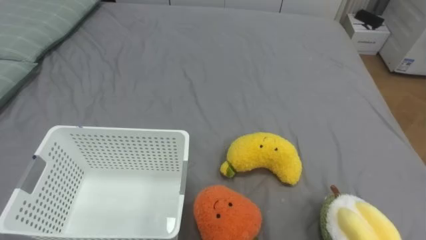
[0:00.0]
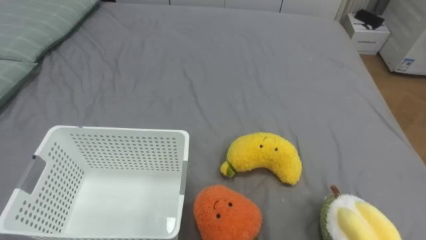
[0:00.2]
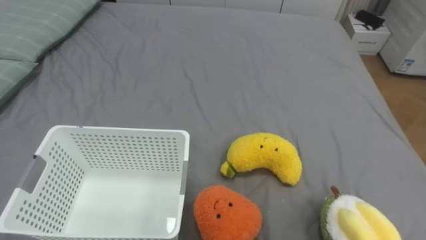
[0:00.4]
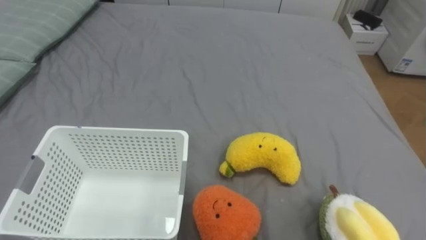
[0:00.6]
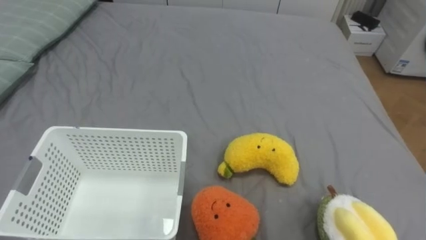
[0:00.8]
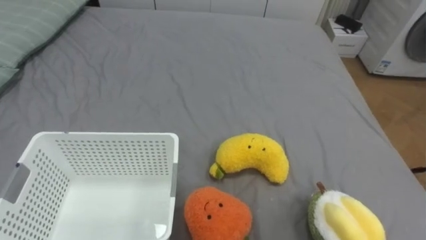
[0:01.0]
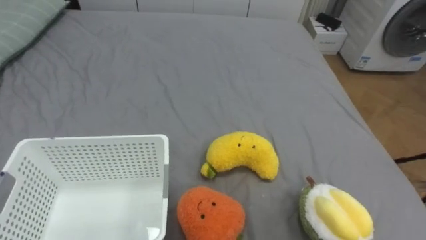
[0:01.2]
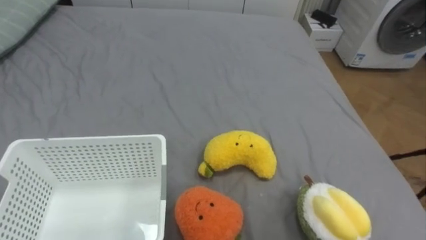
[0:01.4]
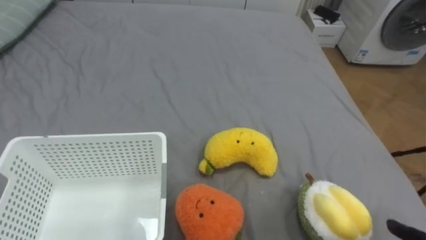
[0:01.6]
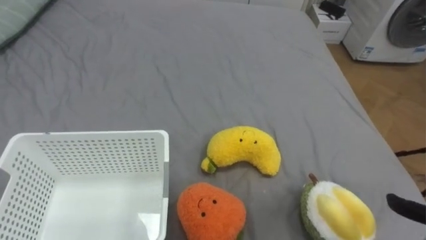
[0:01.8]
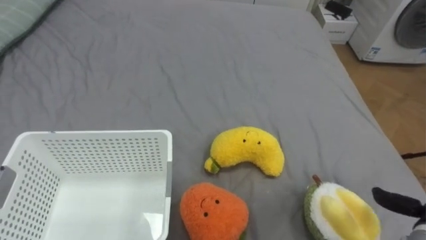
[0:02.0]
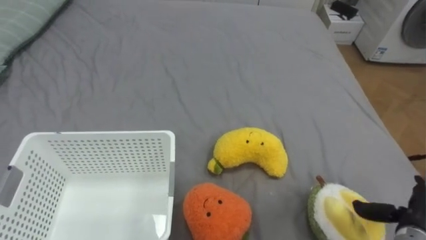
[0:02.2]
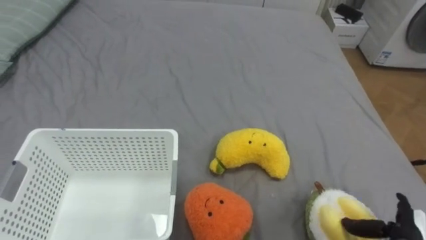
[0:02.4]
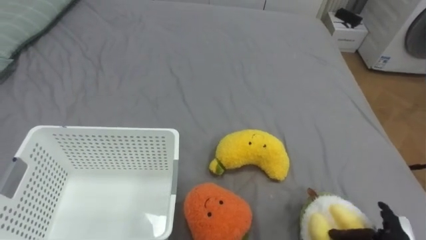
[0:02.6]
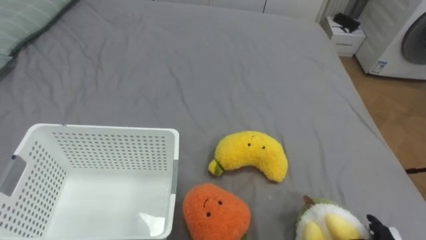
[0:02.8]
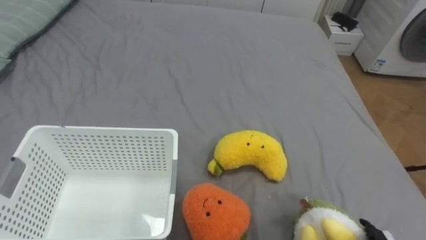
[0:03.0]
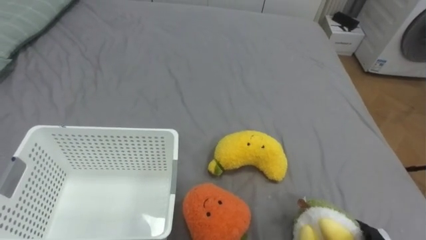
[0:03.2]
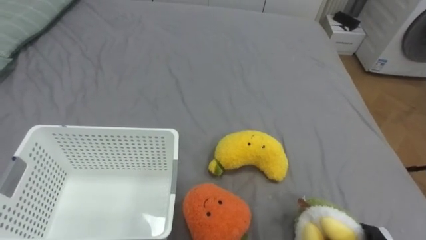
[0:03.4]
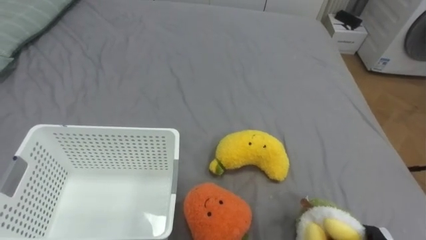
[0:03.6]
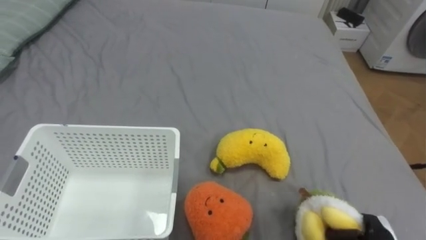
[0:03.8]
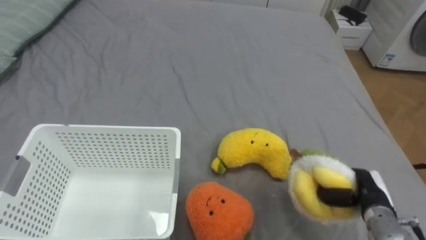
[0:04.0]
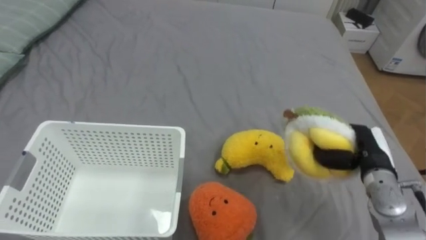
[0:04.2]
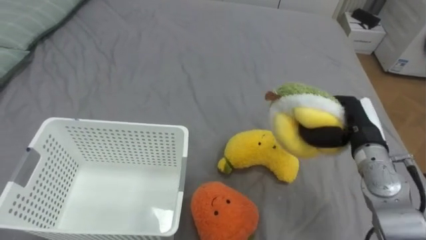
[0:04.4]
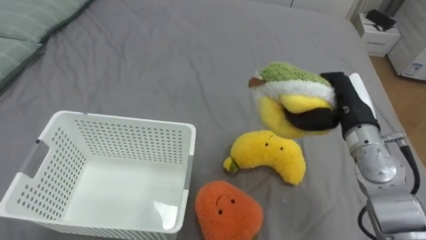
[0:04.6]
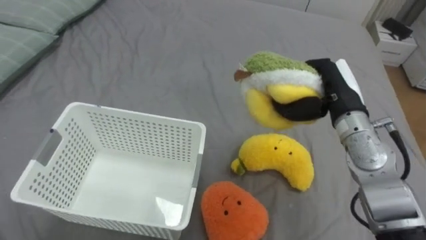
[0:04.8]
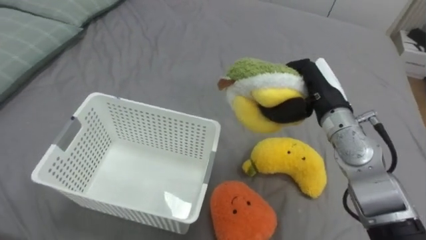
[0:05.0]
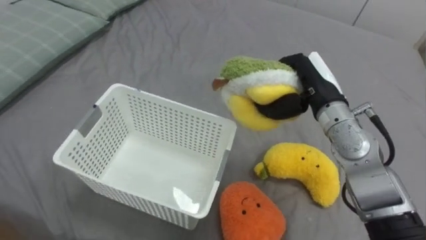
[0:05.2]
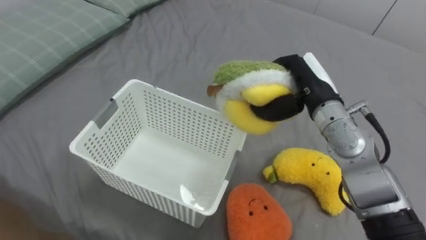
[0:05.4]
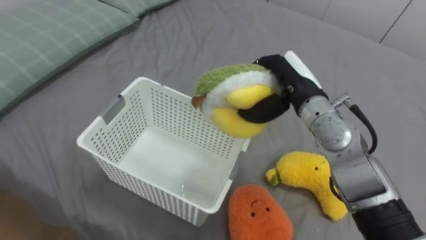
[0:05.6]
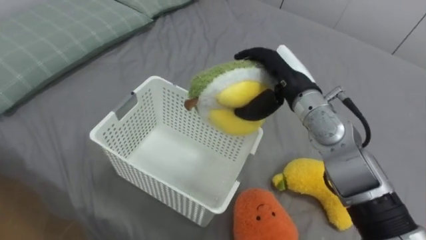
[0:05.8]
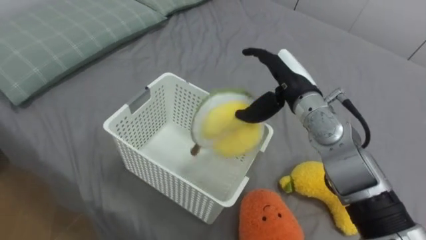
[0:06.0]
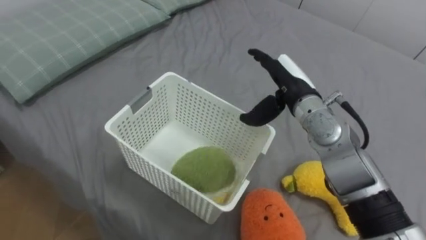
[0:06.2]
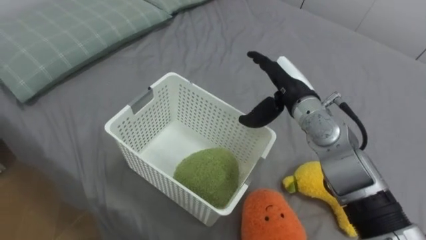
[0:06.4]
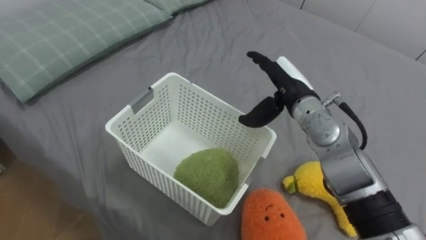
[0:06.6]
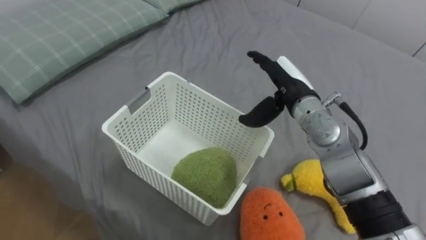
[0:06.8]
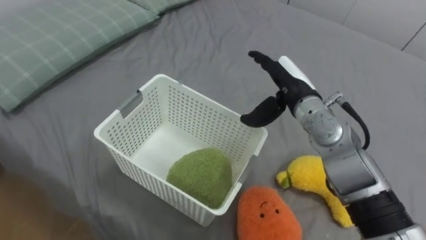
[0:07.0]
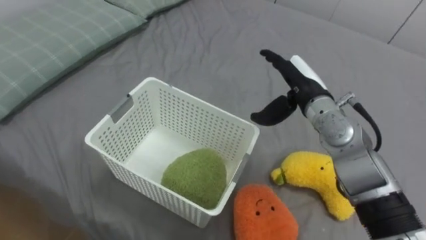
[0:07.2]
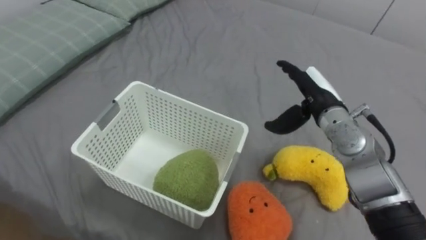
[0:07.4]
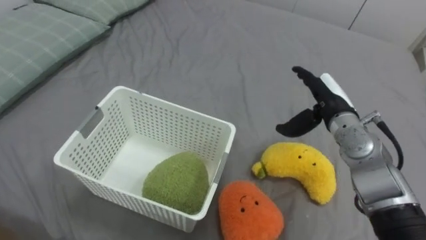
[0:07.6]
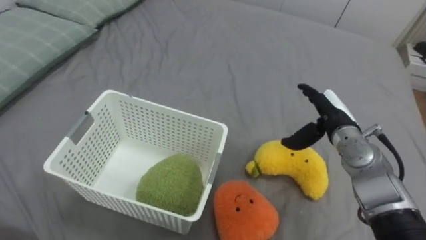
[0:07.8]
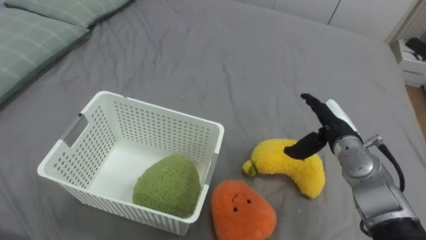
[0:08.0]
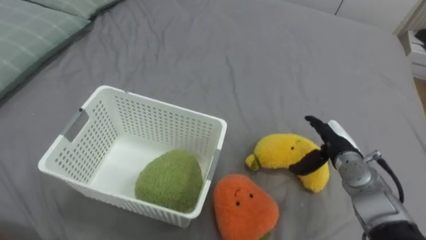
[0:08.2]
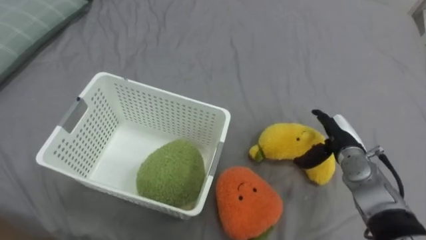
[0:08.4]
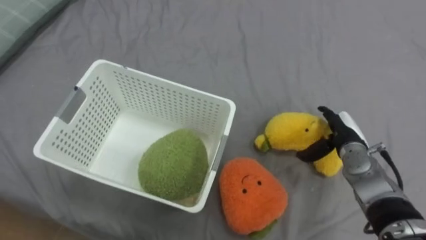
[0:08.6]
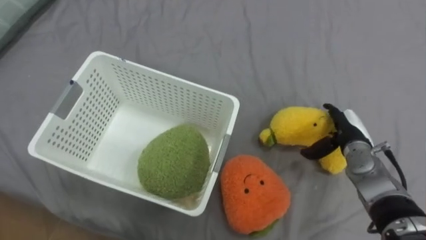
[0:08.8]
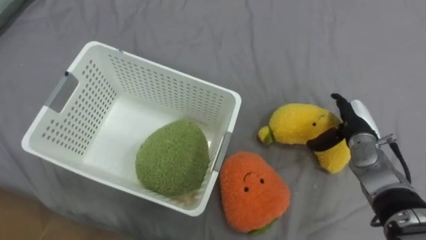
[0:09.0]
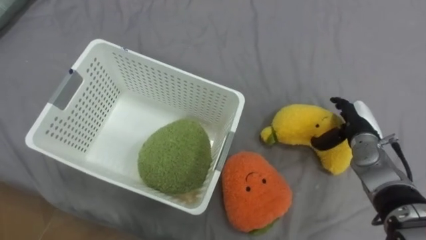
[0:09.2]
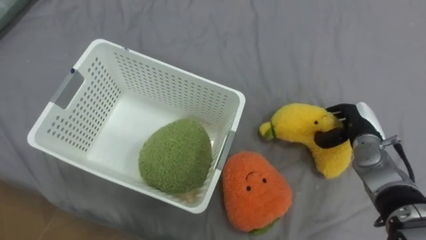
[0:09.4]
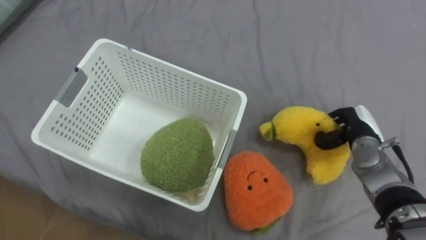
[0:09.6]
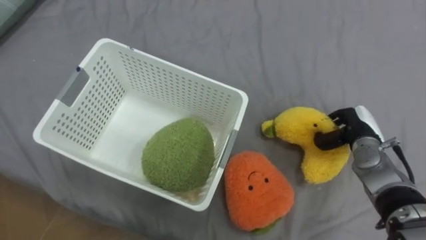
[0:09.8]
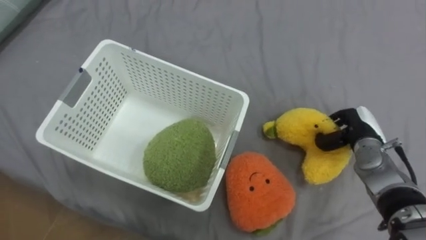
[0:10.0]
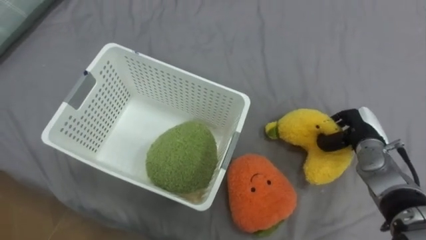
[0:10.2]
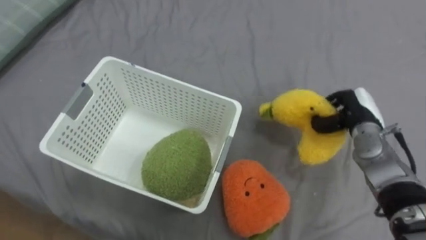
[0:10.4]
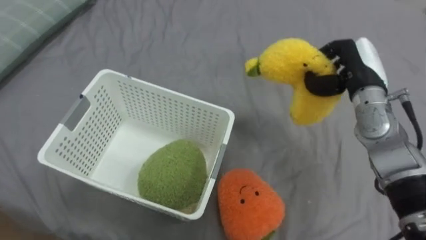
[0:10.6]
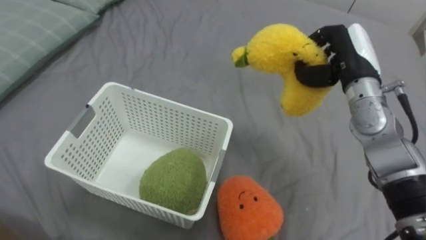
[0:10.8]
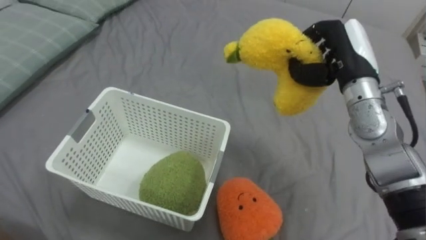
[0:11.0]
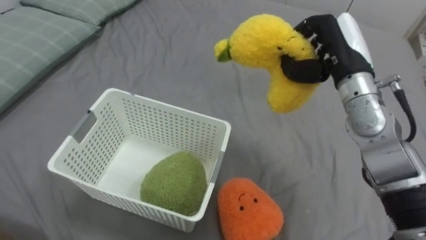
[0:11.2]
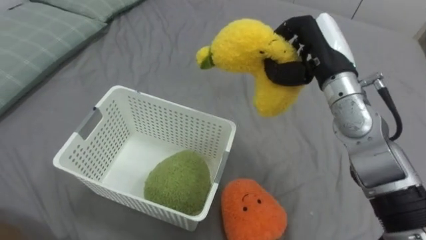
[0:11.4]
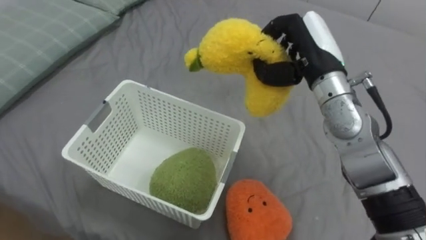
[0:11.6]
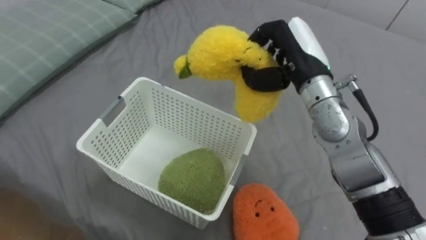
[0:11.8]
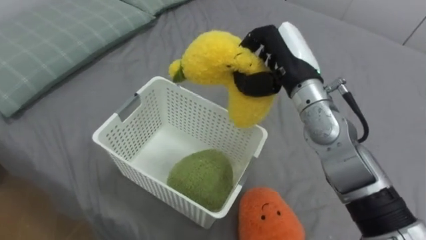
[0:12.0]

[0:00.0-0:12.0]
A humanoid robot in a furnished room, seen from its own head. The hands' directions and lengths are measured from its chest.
Task of the whole recording: Put the toys on the bed into the basket on the left.
0:04.4 to 0:06.0: The right hand is displaced to the left and upward by roughly 15 cm, and opens.
0:06.0 to 0:07.6: The right hand travels to the right and downward by about 10 cm.
0:07.6 to 0:09.0: The right hand travels downward and to the right by some 10 cm.
0:09.0 to 0:10.4: The right hand closes its fingers.
0:10.4 to 0:12.0: The right hand heads to the left and upward, covering some 20 cm.

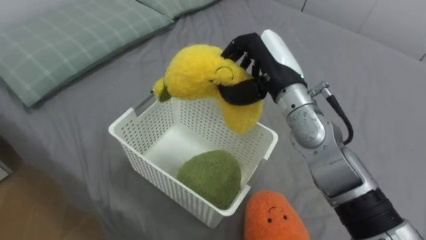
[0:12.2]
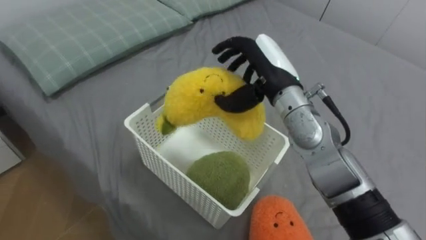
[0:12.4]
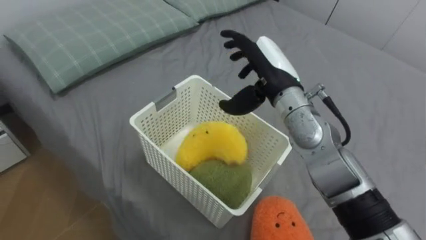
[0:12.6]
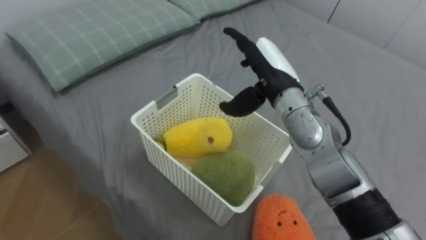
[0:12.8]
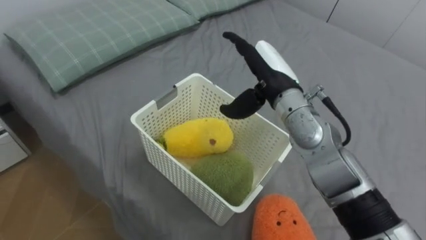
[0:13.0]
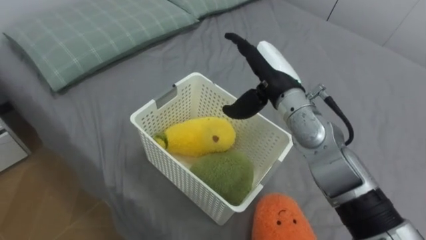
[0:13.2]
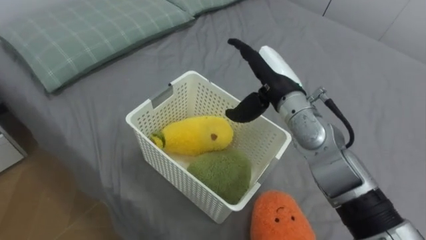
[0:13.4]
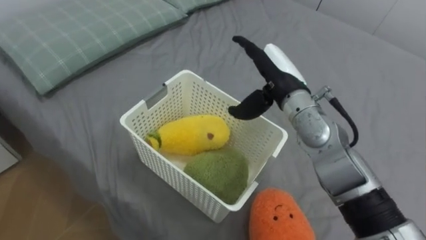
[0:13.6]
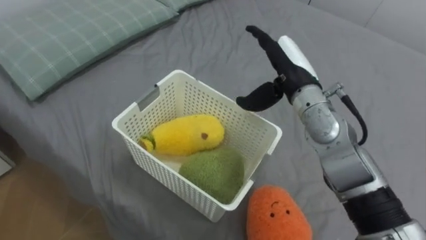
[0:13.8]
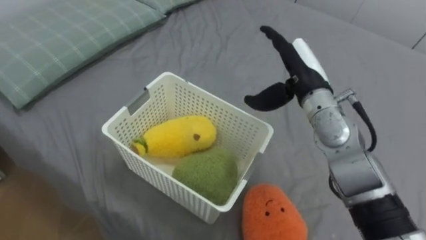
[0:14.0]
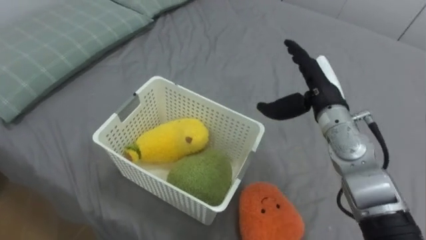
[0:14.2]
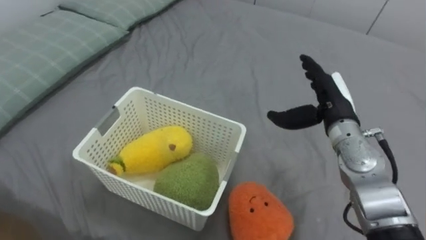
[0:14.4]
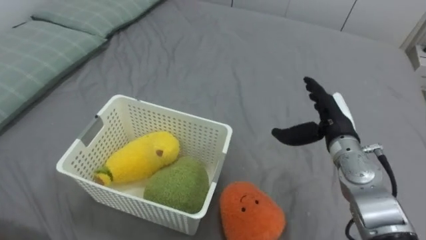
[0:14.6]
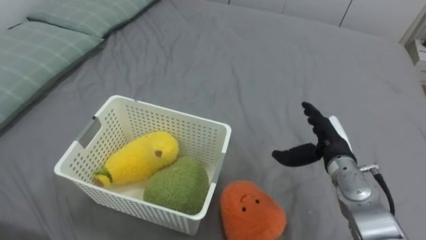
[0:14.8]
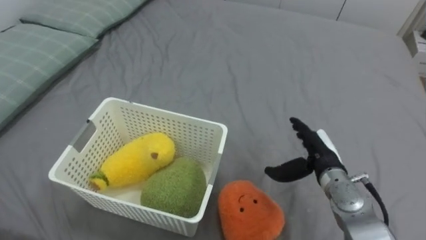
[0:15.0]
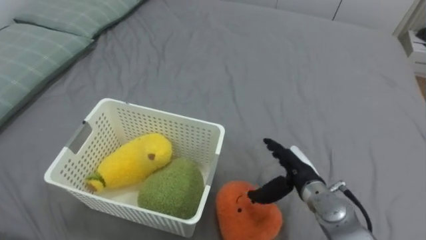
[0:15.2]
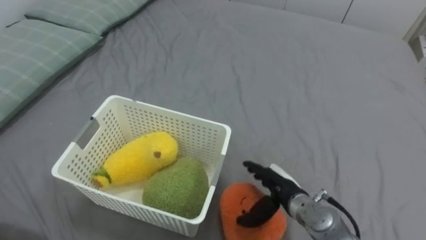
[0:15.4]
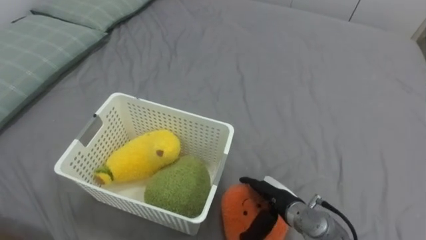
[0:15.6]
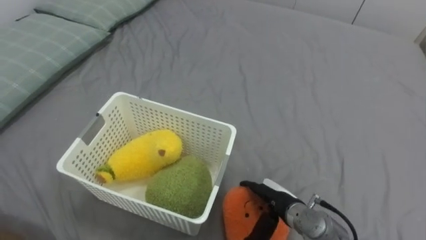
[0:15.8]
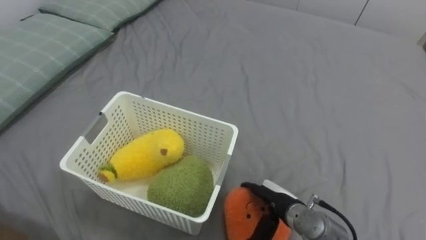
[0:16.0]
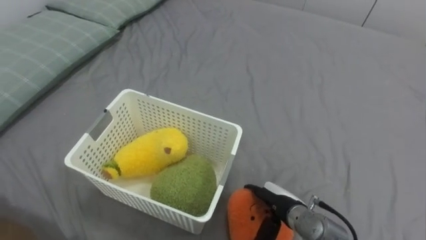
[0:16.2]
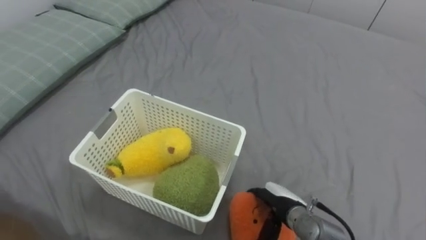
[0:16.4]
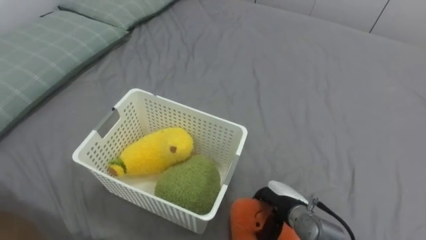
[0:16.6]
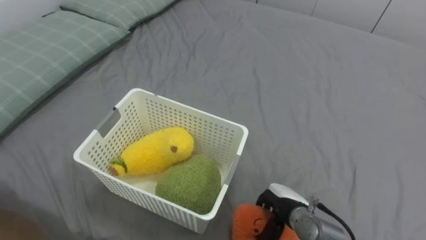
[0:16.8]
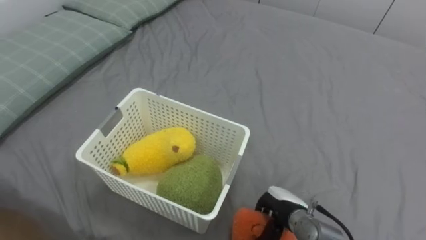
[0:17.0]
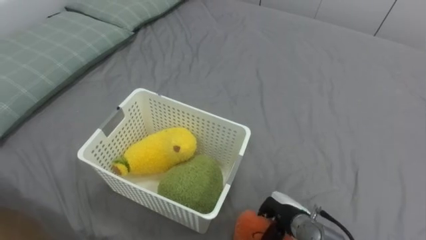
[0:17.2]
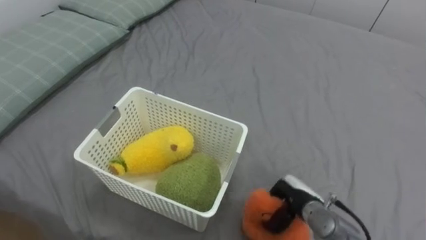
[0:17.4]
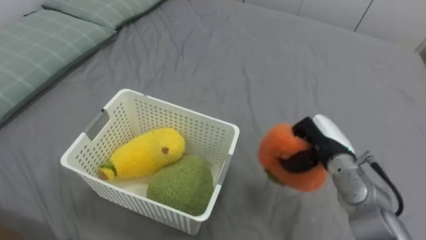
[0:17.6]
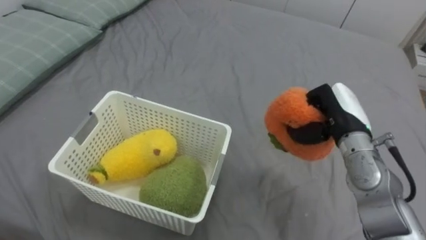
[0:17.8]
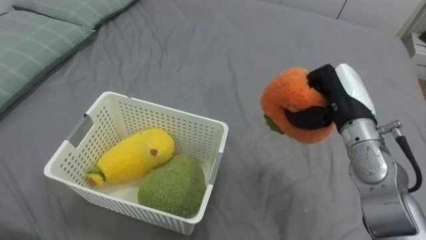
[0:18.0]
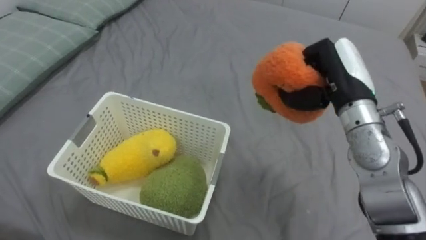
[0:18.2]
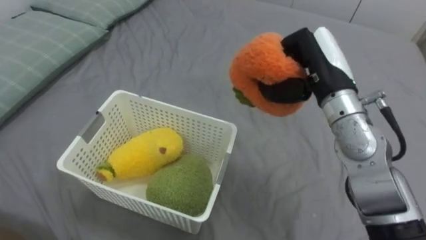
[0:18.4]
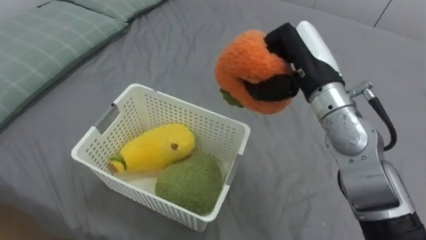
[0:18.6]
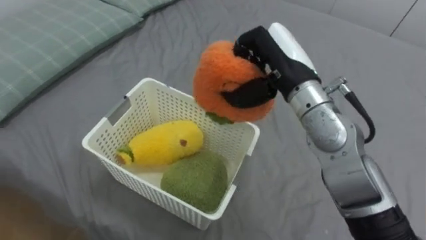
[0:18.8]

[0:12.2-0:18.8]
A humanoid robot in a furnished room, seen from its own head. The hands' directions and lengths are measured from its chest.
Task of the whole recording: Put the toys on the bed into the basket on the left.
0:12.2 to 0:13.8: The right hand opens up.
0:13.8 to 0:15.4: The right hand shifts roughly 25 cm downward and backward.
0:15.4 to 0:17.2: The right hand moves downward, about 5 cm, and closes up.
0:17.2 to 0:18.8: The right hand travels upward and forward by some 35 cm.
